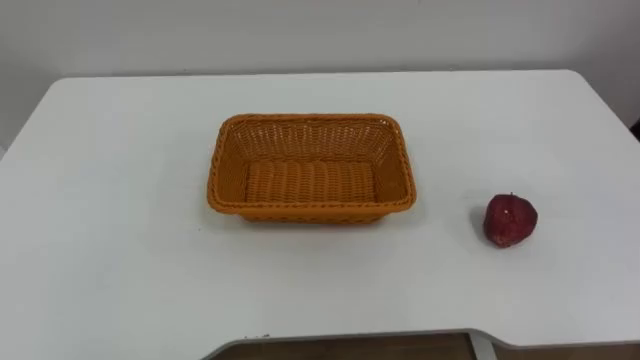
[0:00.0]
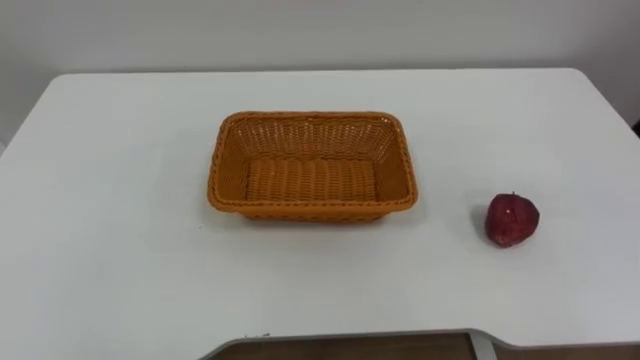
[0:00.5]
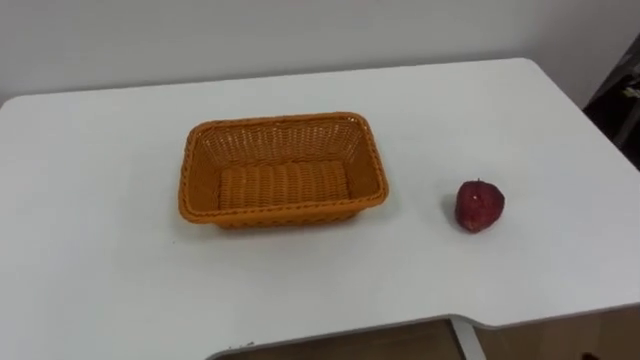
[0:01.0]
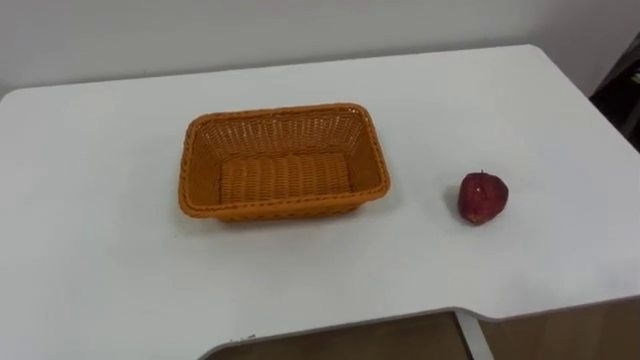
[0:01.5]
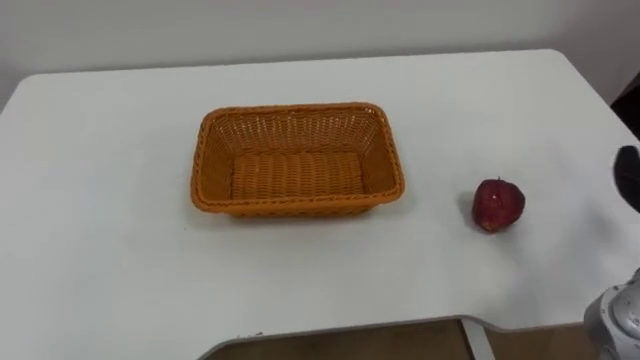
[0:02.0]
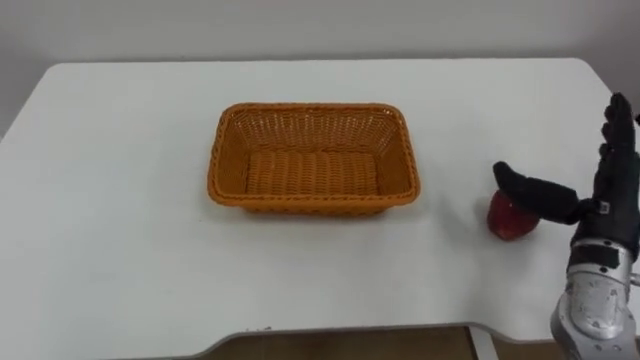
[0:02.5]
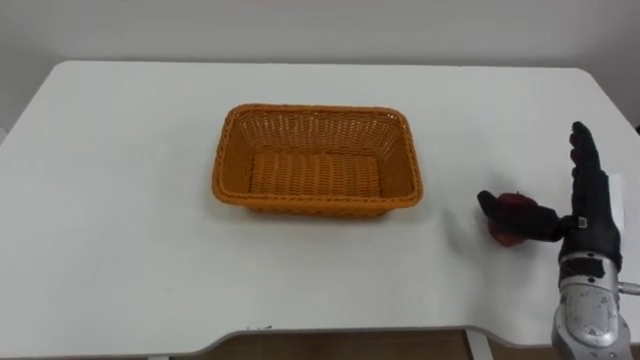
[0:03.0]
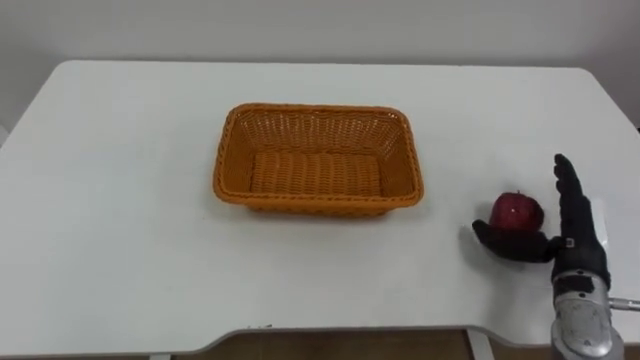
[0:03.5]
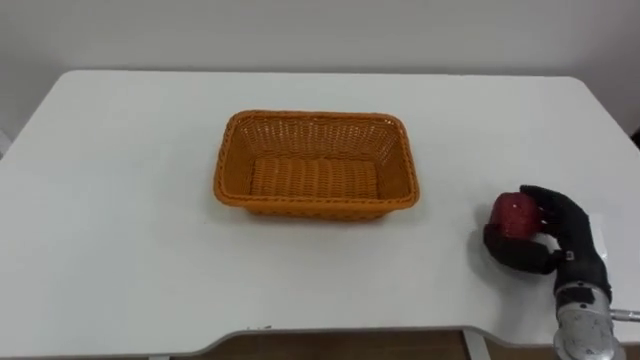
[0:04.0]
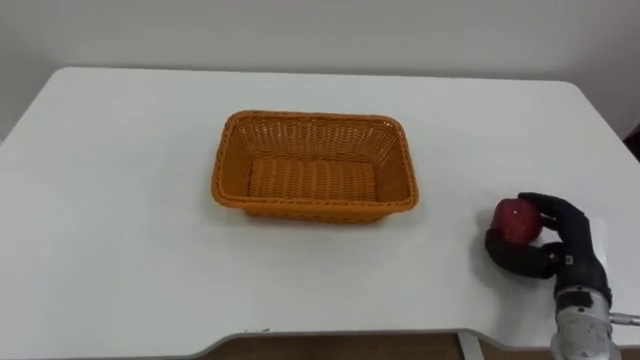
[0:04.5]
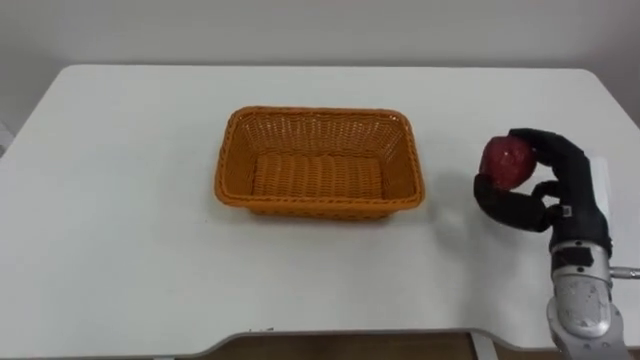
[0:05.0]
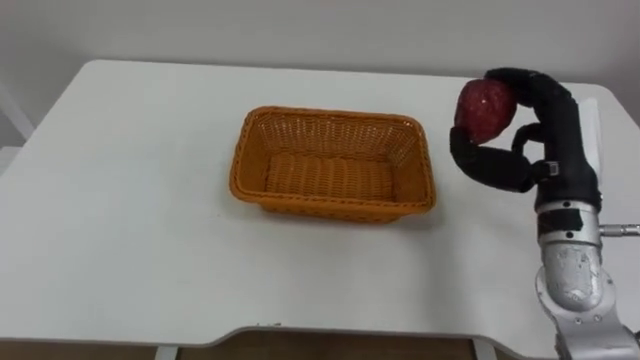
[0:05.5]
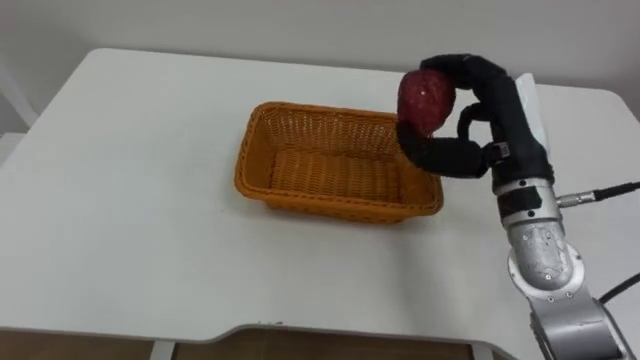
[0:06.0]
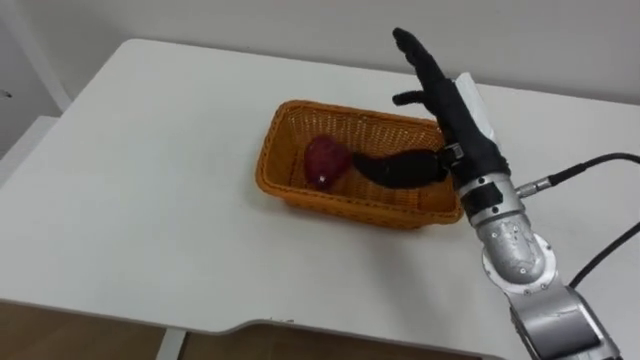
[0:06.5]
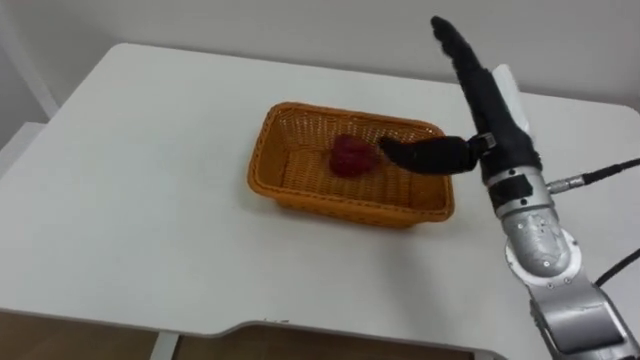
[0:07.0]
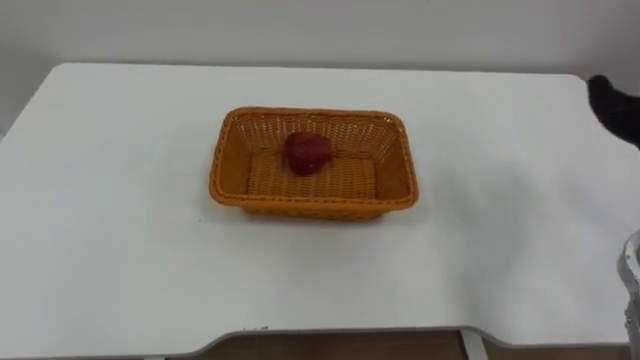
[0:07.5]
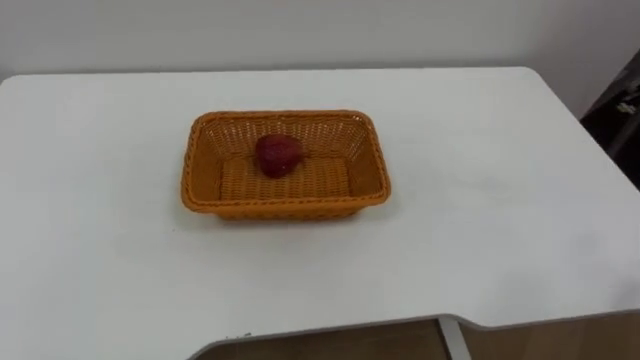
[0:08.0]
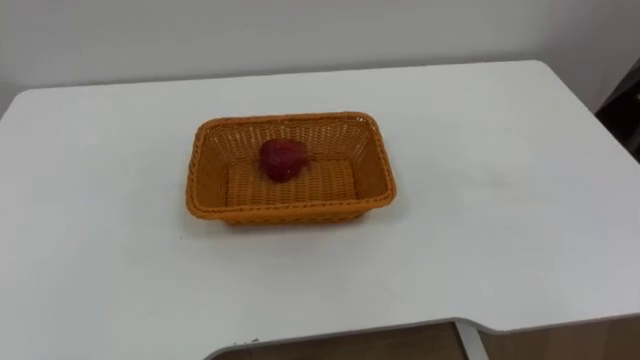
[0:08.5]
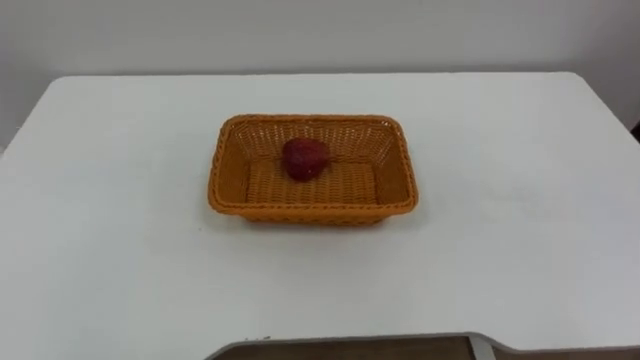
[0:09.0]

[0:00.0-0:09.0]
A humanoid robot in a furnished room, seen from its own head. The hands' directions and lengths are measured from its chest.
Task of the whole recording: Pick the apple and place it in the box.
0:04.5 to 0:07.0: The right hand travels upward, to the left and forward by approximately 25 cm, and opens its fingers.

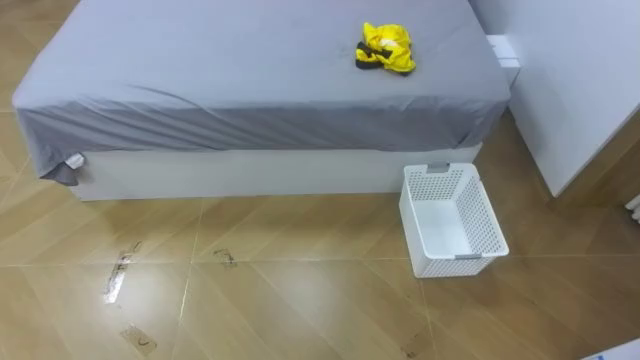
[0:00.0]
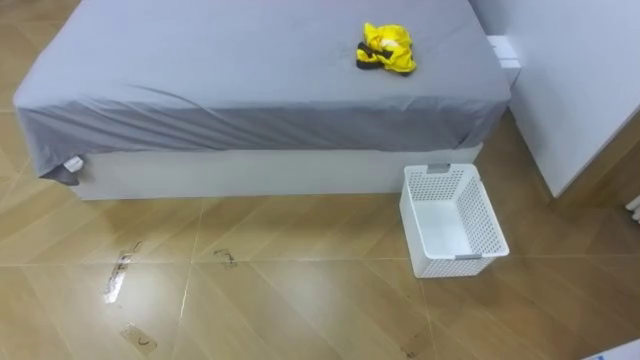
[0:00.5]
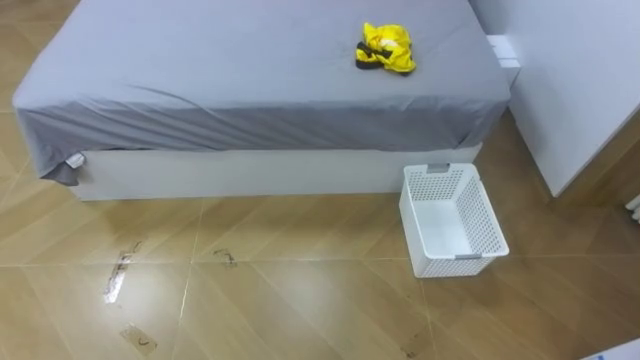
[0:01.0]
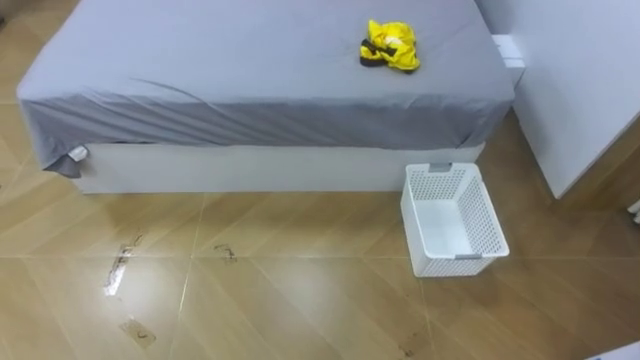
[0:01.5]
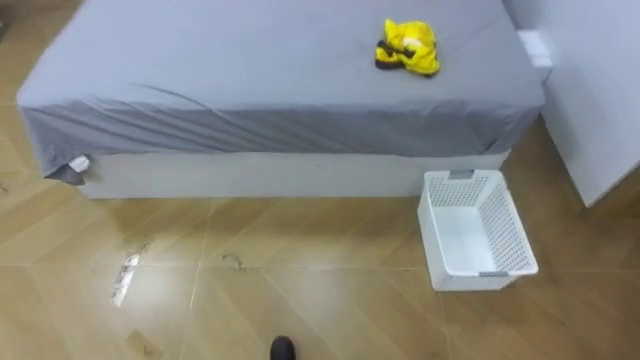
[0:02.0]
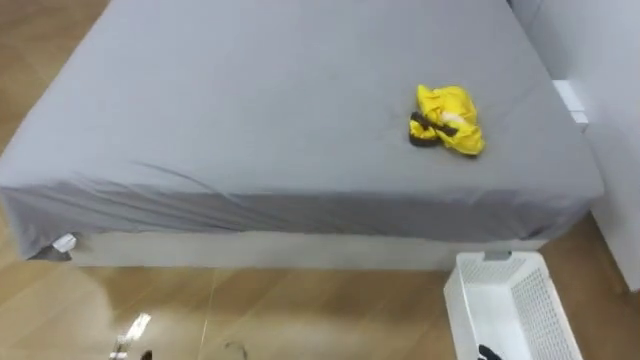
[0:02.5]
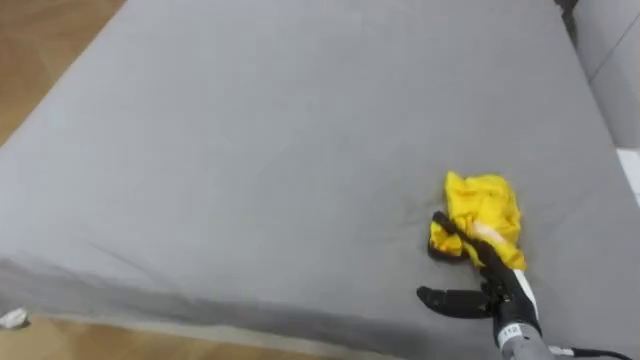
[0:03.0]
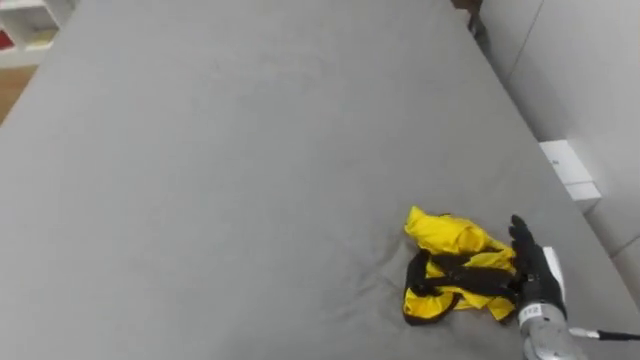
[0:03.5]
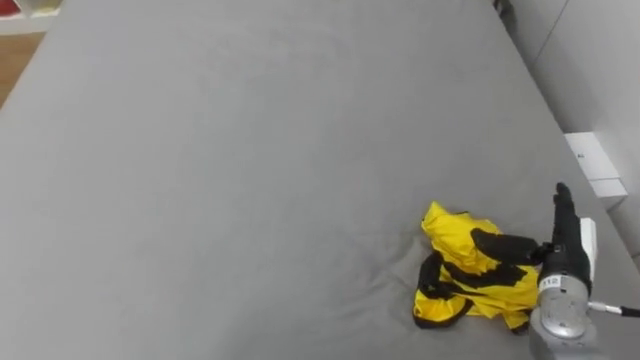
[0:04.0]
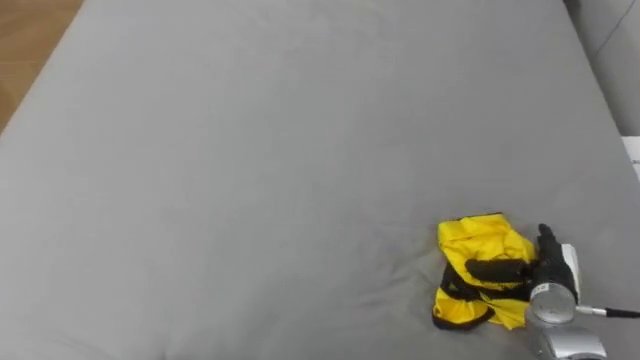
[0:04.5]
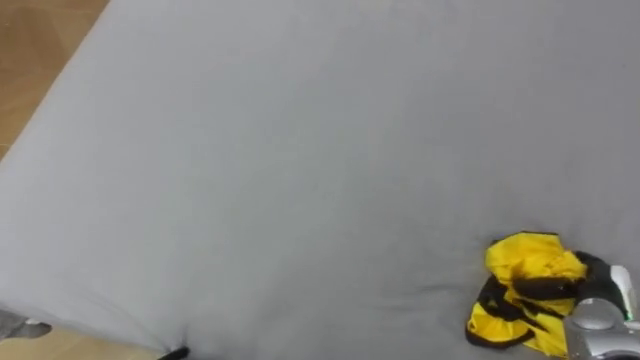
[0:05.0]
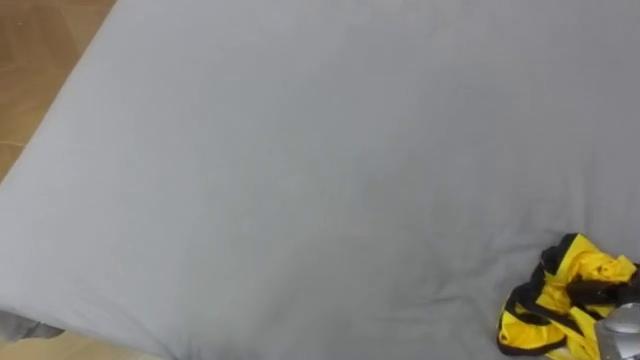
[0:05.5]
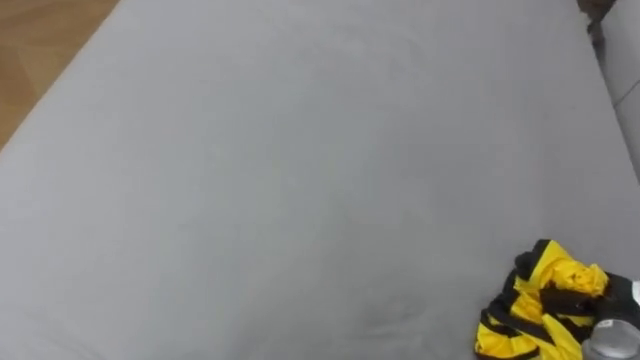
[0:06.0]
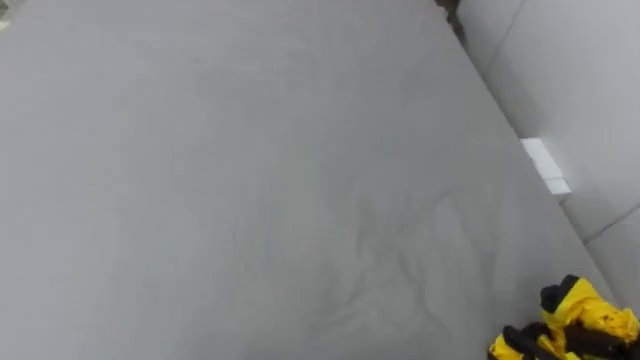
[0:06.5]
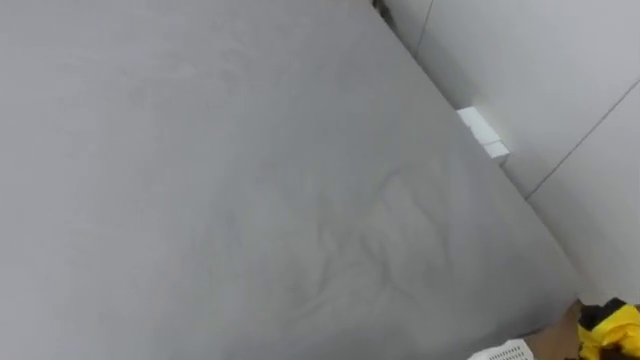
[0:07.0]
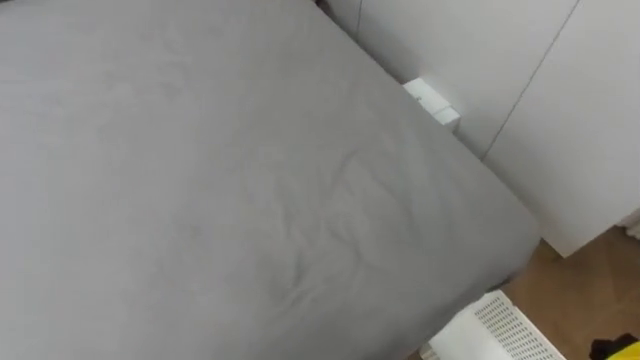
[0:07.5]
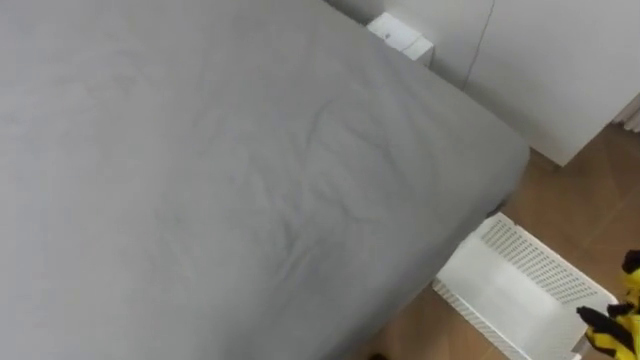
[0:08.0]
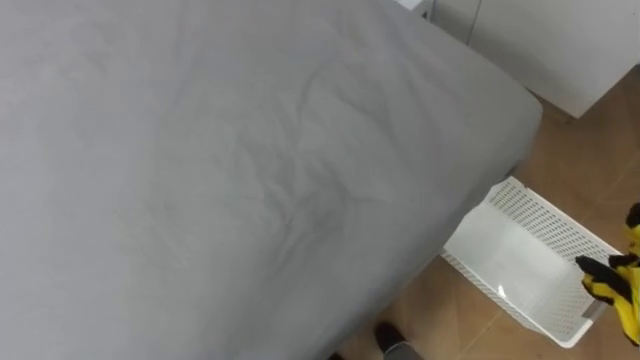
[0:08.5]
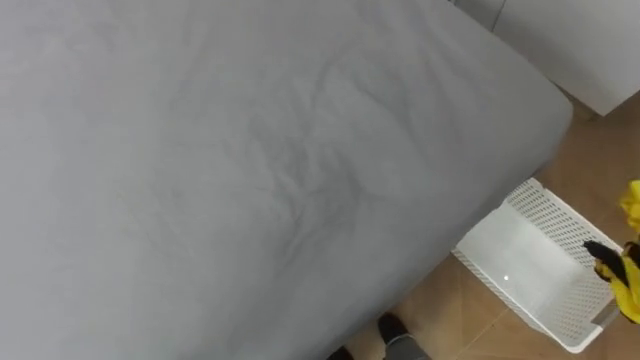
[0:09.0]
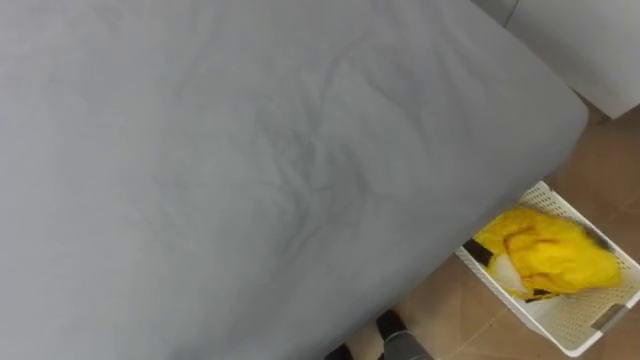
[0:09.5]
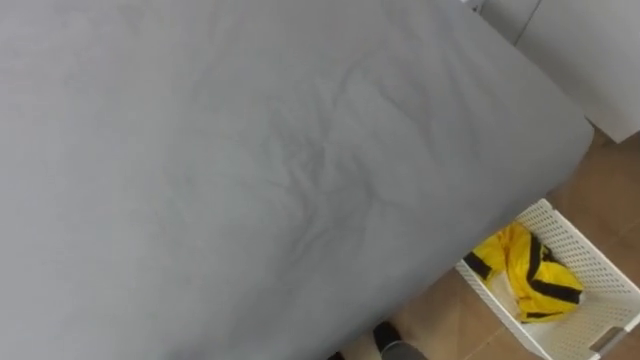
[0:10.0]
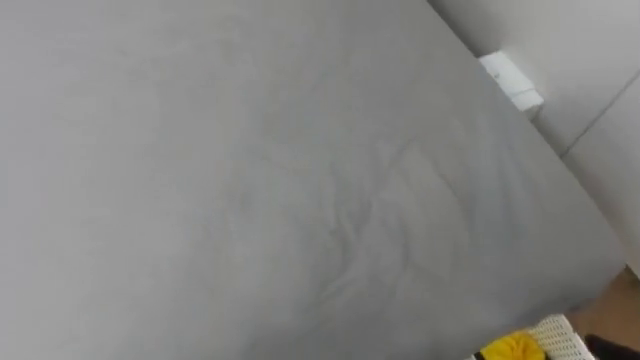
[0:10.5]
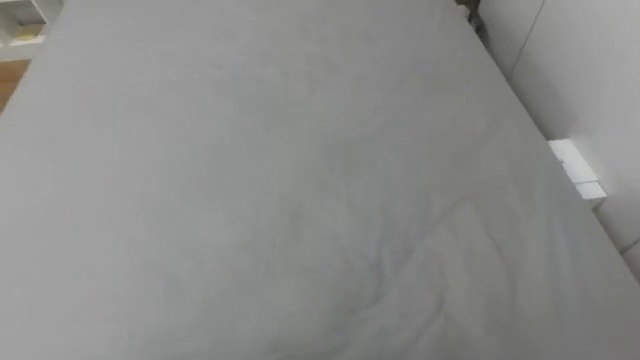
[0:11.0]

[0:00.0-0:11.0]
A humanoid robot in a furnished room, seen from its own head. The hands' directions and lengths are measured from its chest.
Task of the whole recording: Pick up the yellow clothes on the bed and place them into the white basket on the right.
0:03.5 to 0:05.5: The right hand travels to the right by some 15 cm, and closes its fingers.
0:09.0 to 0:11.0: The robot turns to its left by roughly 20 degrees.
